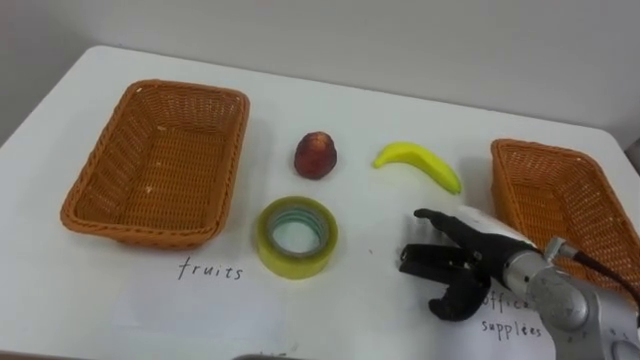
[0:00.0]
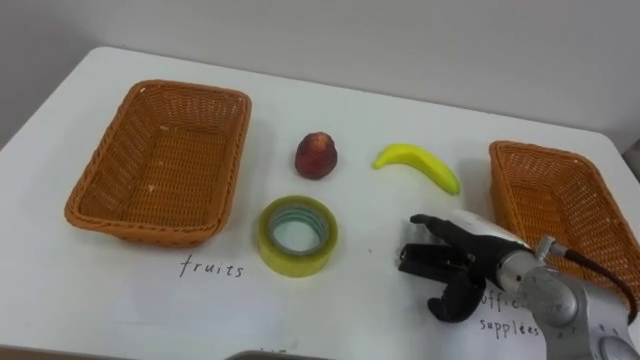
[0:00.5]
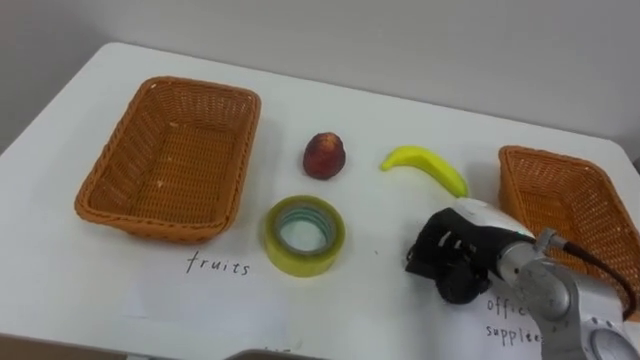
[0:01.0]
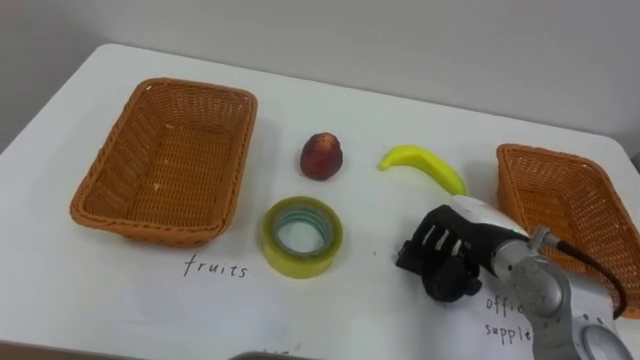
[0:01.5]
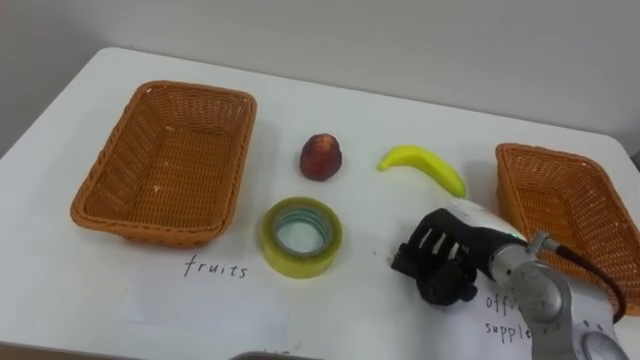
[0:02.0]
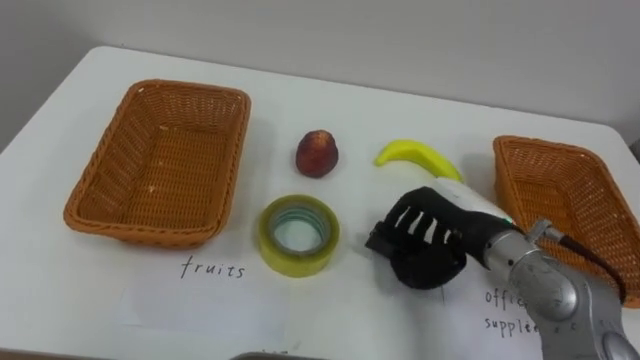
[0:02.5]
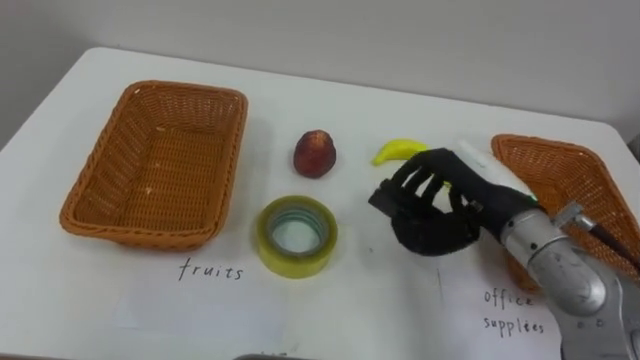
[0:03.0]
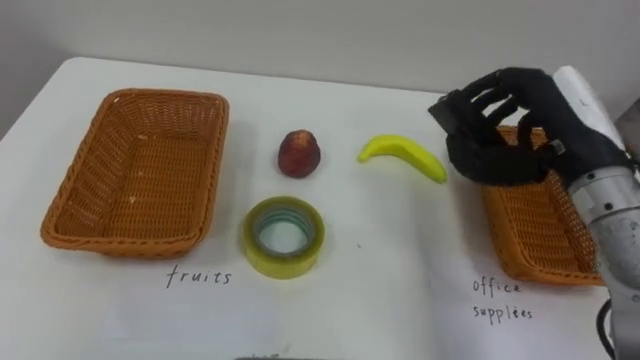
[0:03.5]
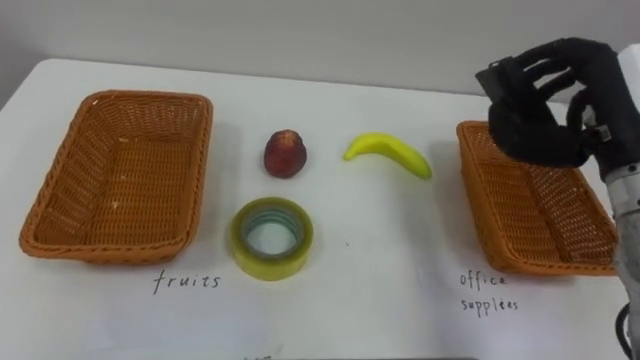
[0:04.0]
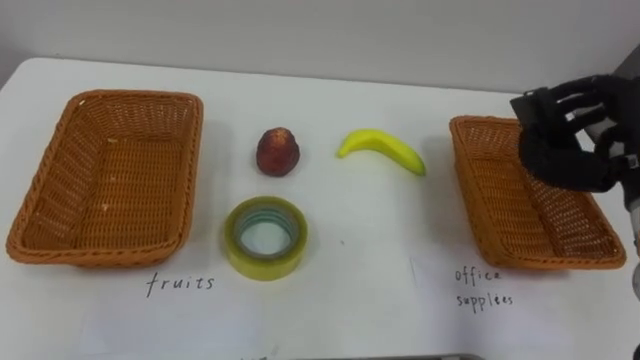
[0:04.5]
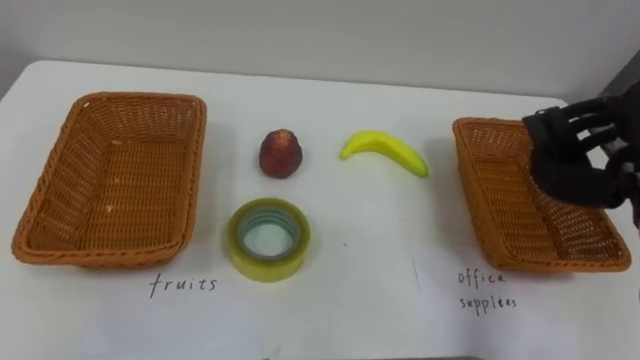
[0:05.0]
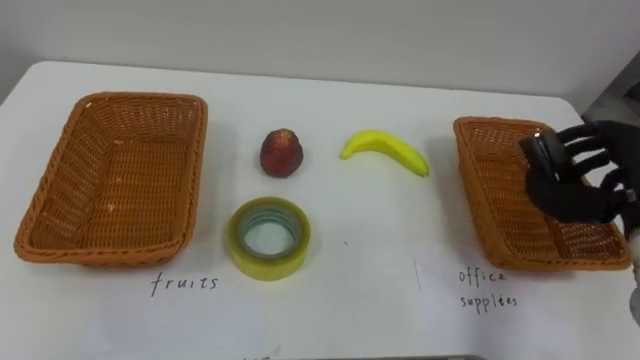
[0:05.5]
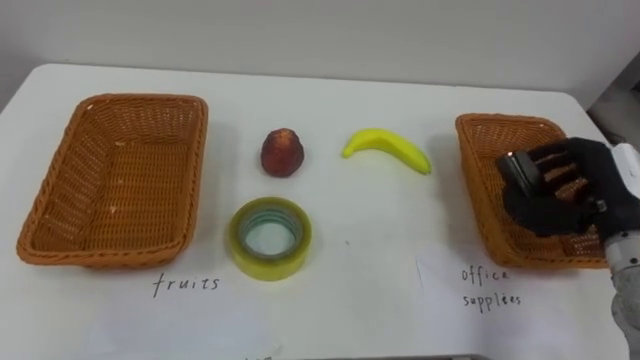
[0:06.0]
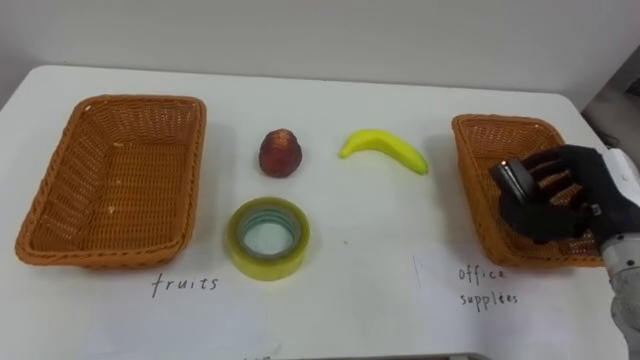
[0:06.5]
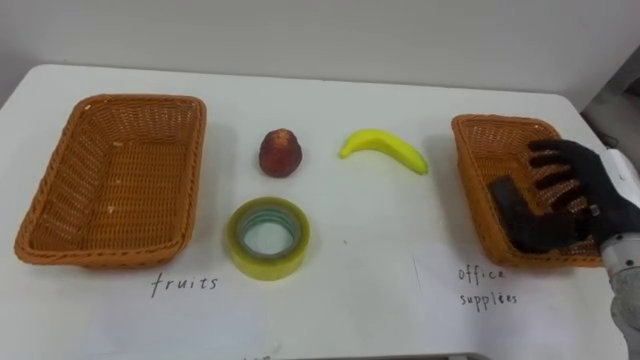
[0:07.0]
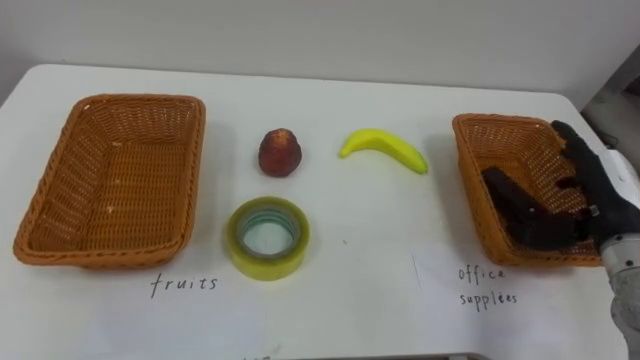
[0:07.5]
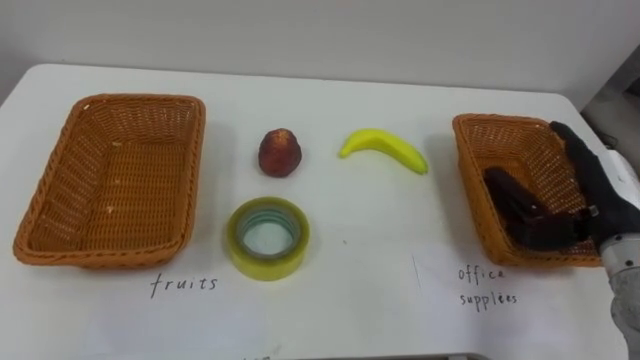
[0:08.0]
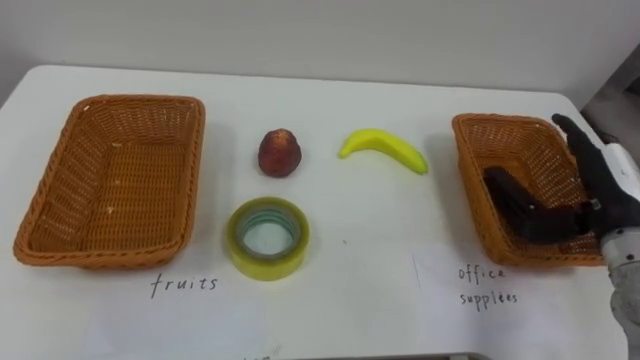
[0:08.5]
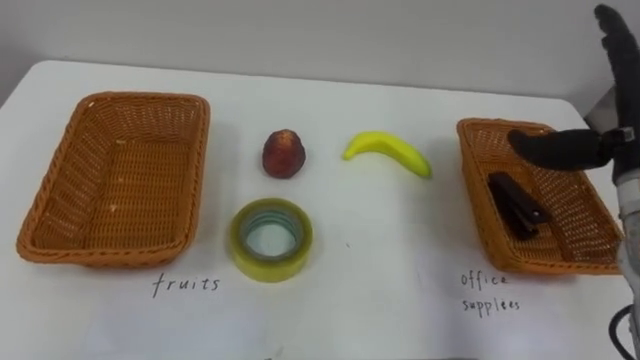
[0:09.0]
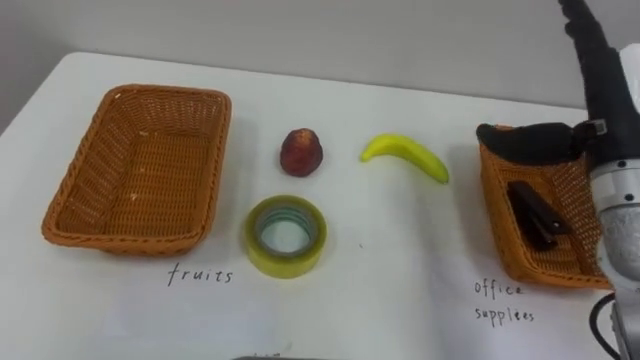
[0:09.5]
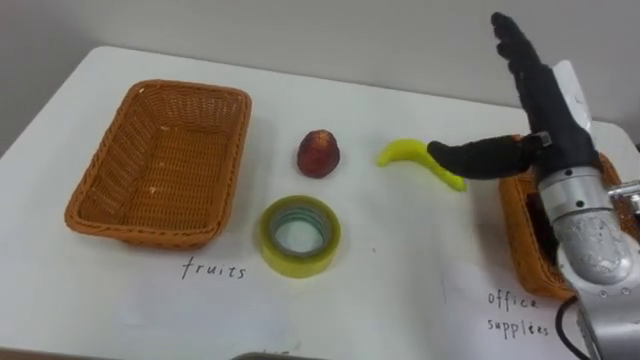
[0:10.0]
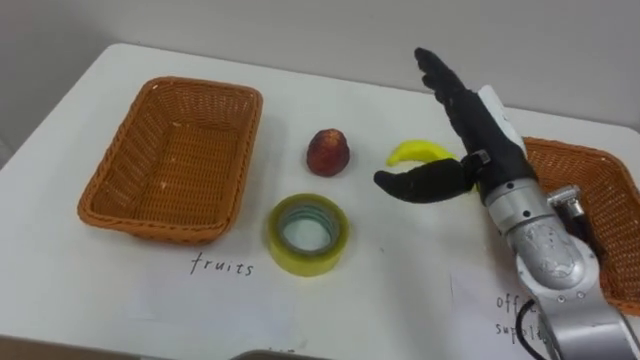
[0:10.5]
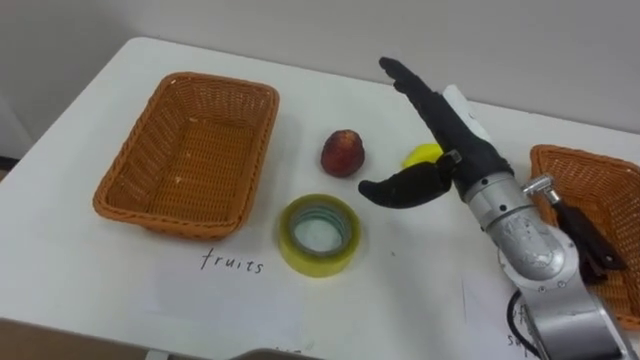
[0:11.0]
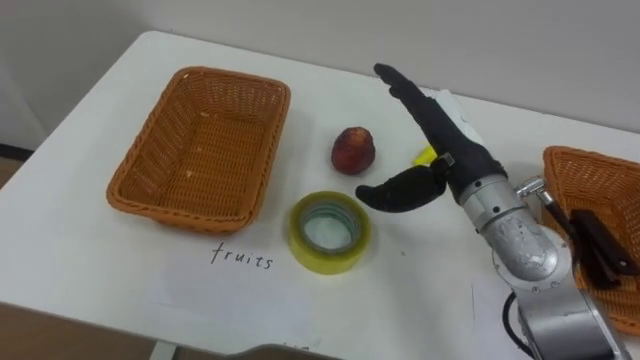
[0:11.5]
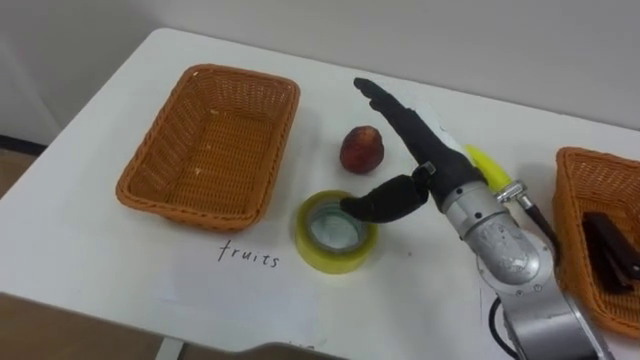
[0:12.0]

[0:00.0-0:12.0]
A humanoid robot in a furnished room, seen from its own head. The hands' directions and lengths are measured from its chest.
Task of the whole recording: Separate the items on the table and place them into the two baskets.
0:00.0 to 0:02.0: The right hand closes its fingers.
0:02.0 to 0:04.0: The right hand goes approximately 20 cm upward and to the right.
0:06.0 to 0:08.0: The right hand opens its fingers.
0:08.0 to 0:10.0: The right hand travels upward and to the left by some 15 cm.
0:10.0 to 0:12.0: The right hand goes some 10 cm to the left.

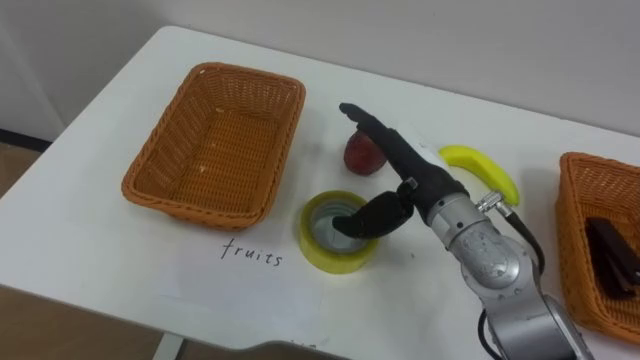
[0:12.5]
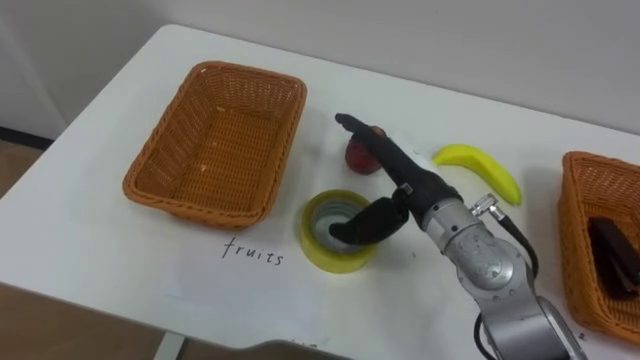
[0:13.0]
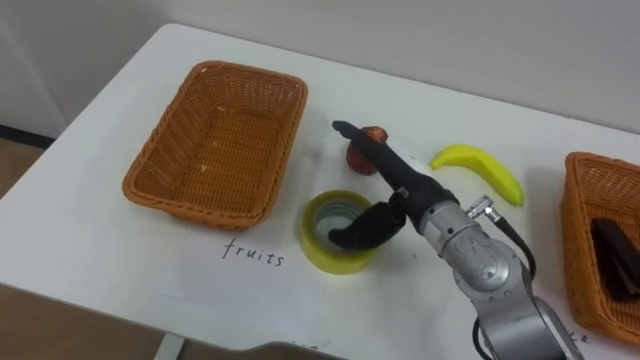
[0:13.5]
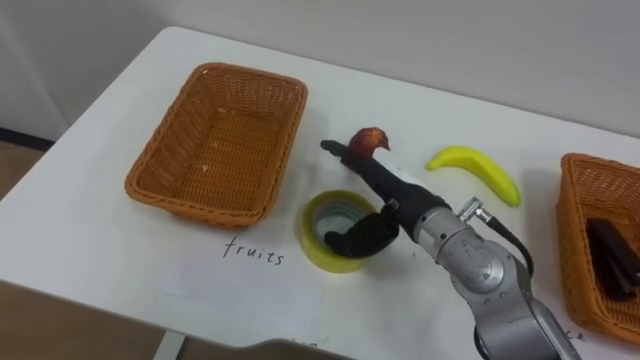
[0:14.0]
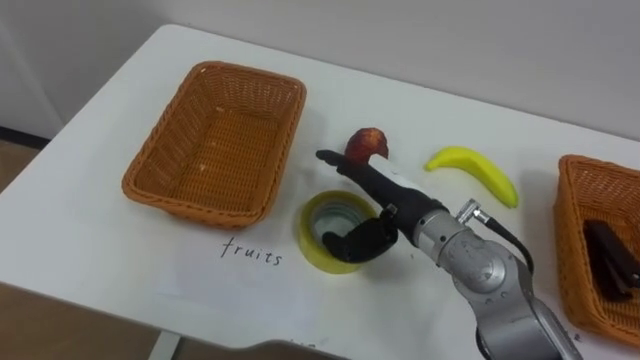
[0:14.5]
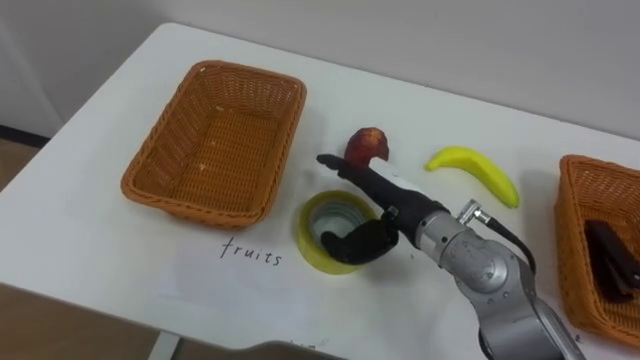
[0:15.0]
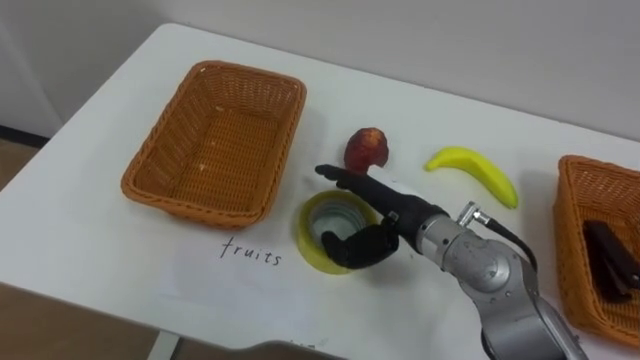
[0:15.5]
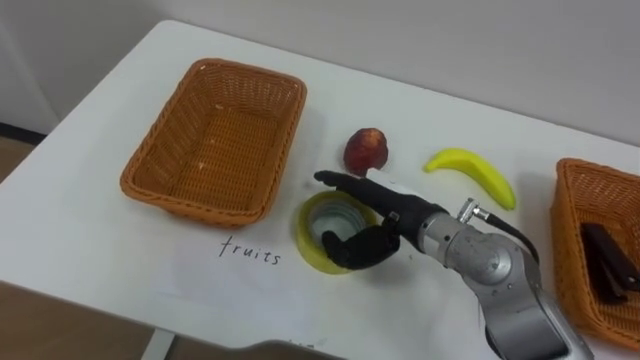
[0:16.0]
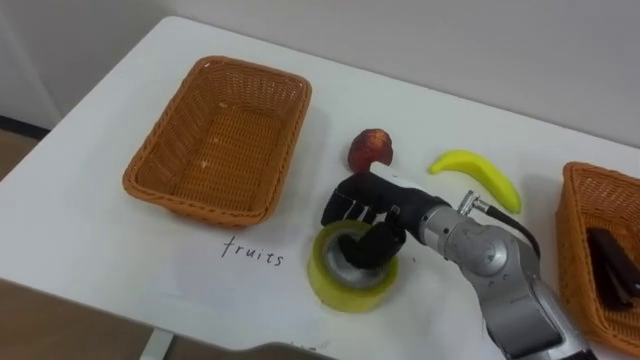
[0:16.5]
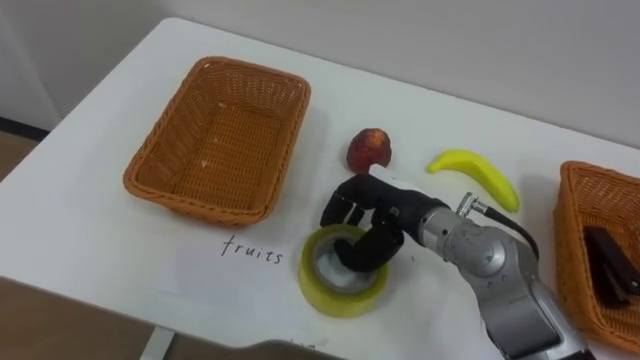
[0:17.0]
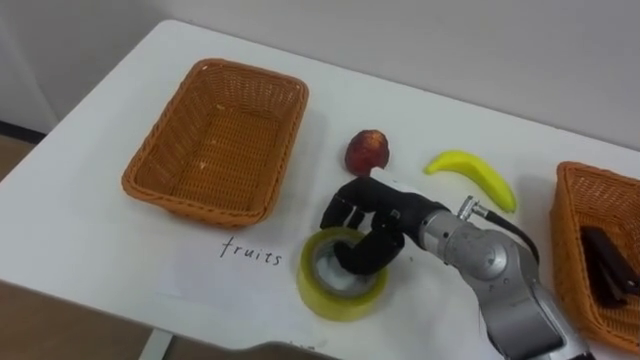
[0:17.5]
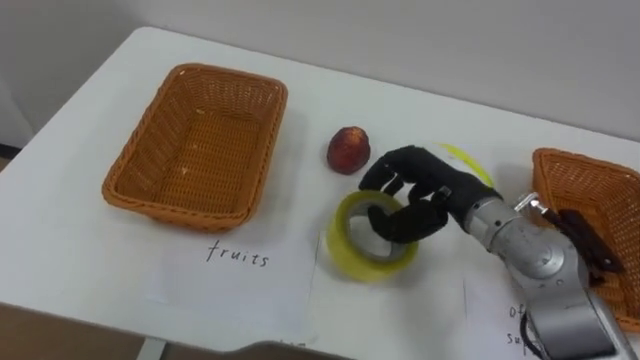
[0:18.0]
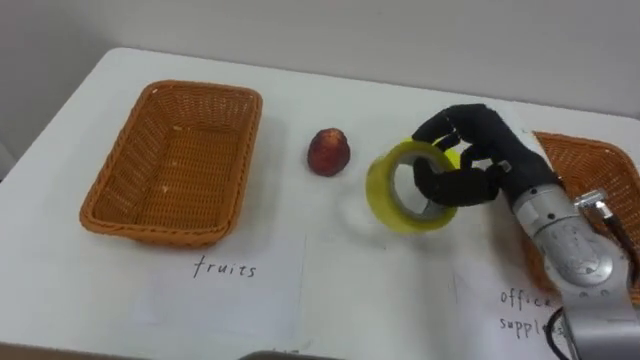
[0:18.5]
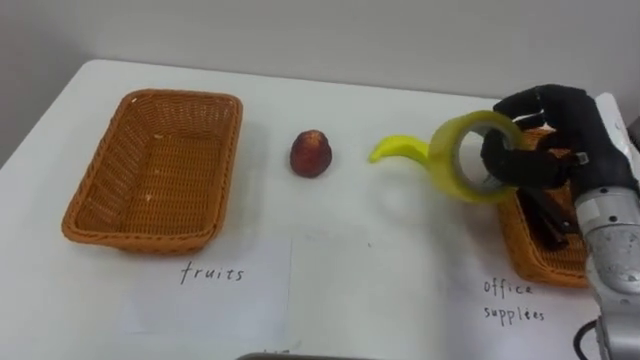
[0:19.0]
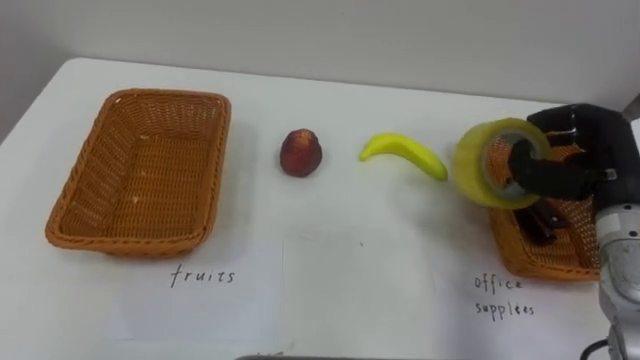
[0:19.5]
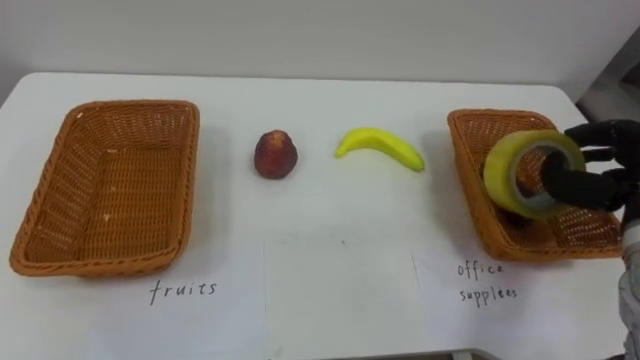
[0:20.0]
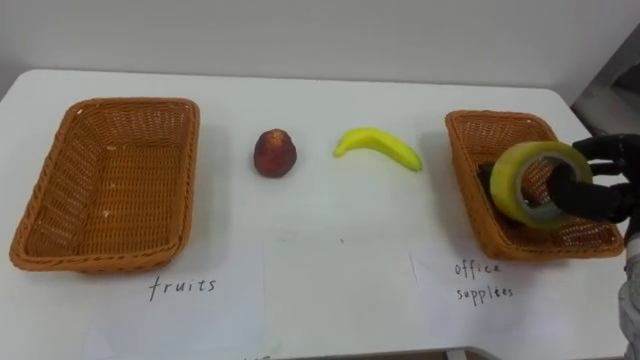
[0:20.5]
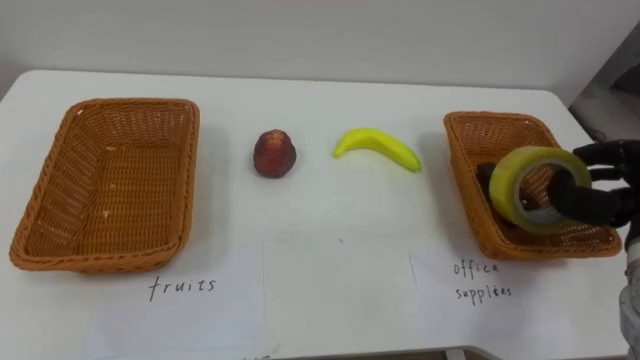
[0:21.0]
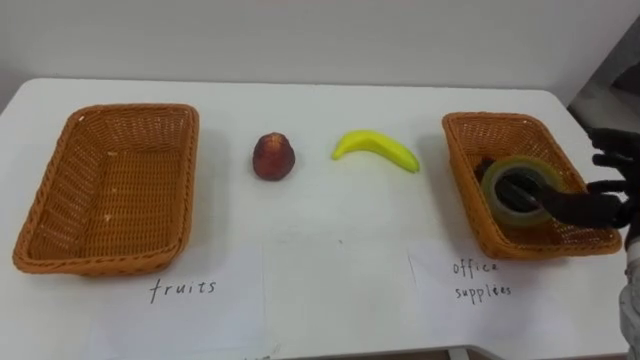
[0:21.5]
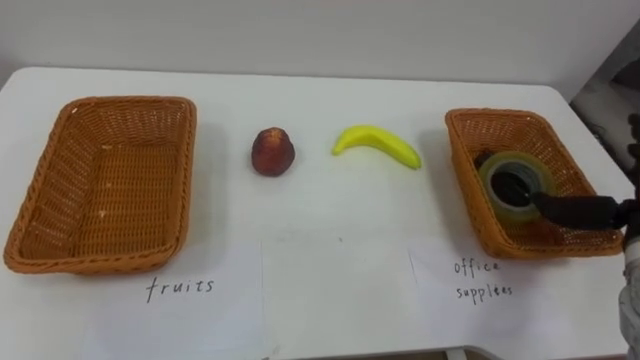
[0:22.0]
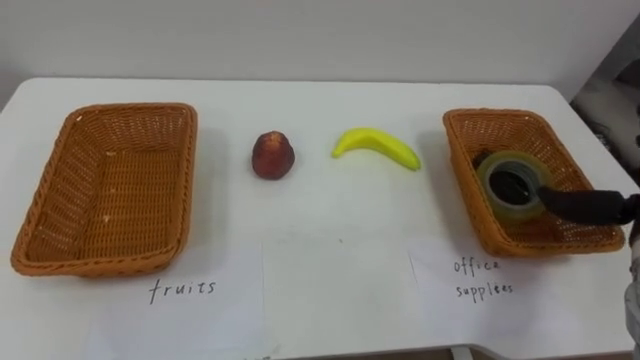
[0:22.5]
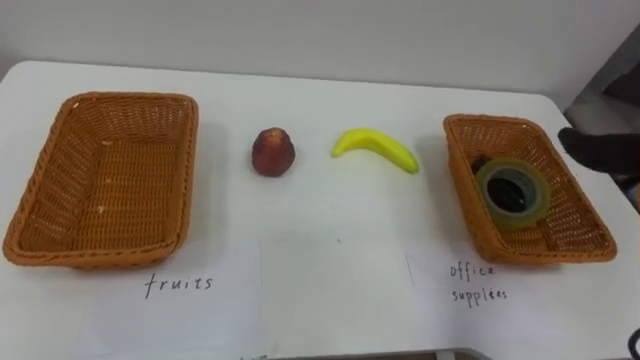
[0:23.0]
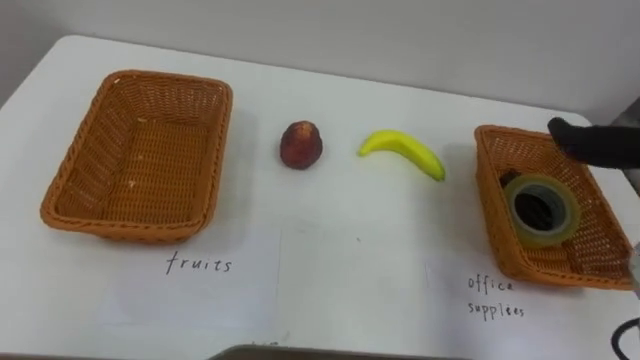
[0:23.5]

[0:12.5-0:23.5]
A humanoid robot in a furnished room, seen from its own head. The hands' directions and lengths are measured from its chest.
Task of the whole recording: Separate the items on the table and place them into the two baskets.
0:16.0 to 0:18.0: The right hand moves to the right, some 5 cm, and closes up.
0:18.0 to 0:20.0: The right hand is displaced to the right by approximately 20 cm.
